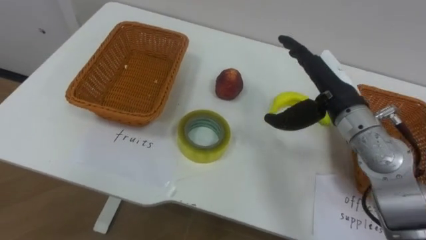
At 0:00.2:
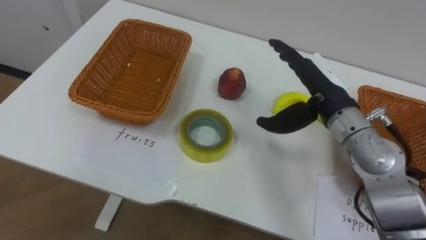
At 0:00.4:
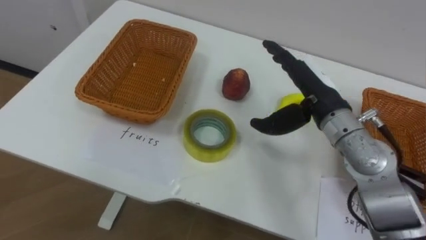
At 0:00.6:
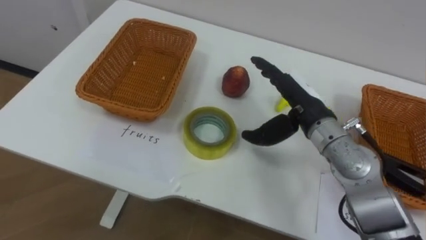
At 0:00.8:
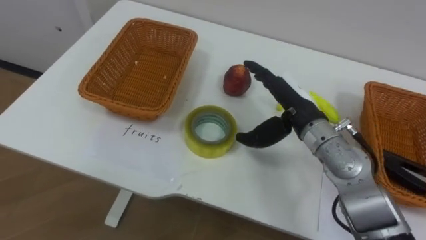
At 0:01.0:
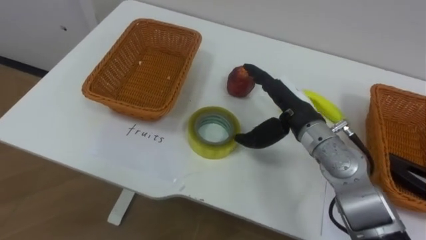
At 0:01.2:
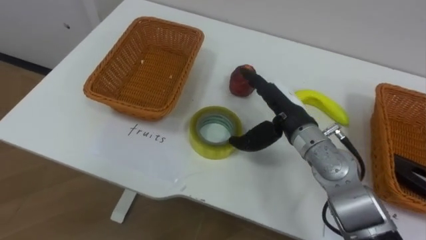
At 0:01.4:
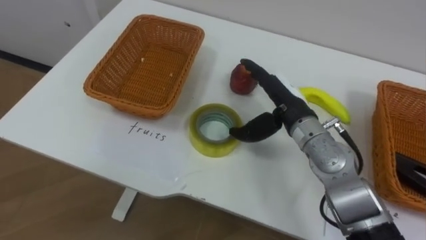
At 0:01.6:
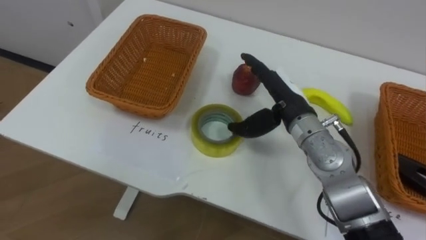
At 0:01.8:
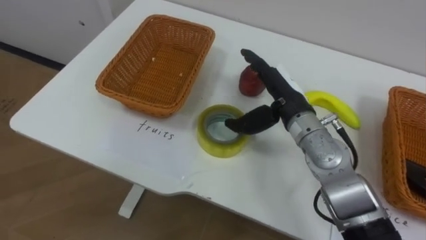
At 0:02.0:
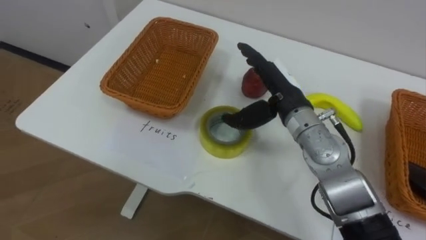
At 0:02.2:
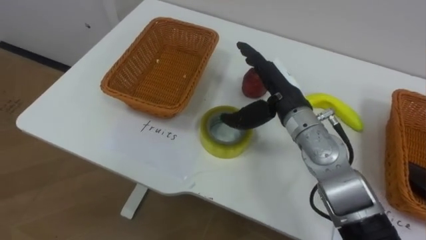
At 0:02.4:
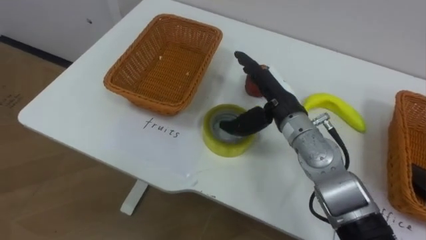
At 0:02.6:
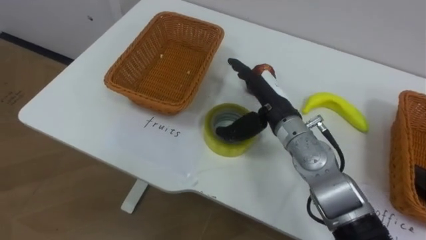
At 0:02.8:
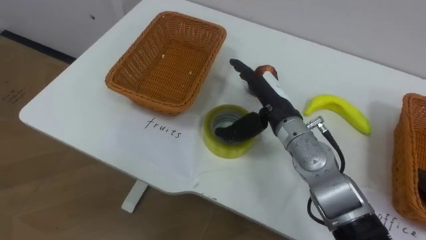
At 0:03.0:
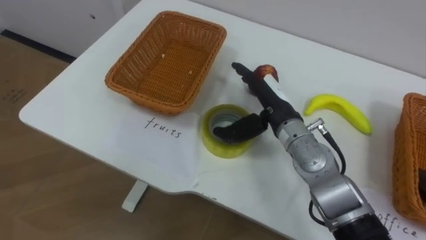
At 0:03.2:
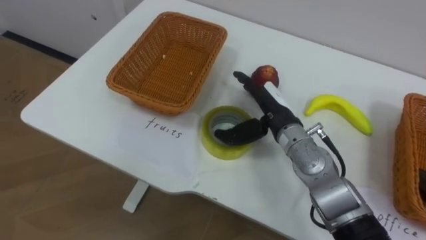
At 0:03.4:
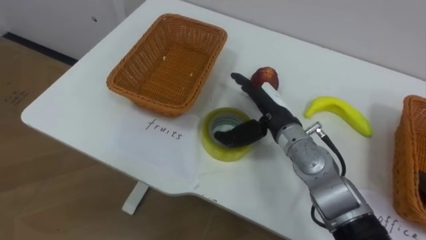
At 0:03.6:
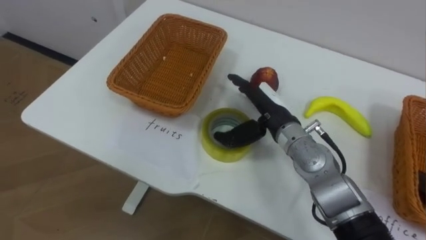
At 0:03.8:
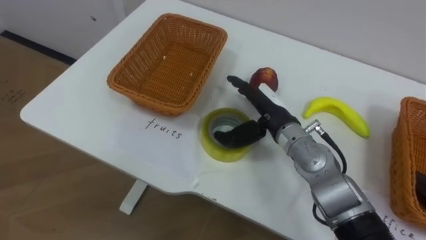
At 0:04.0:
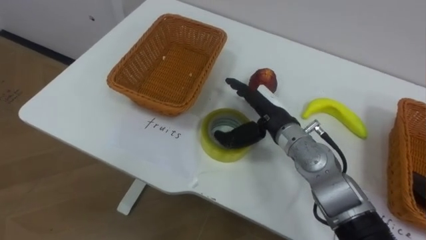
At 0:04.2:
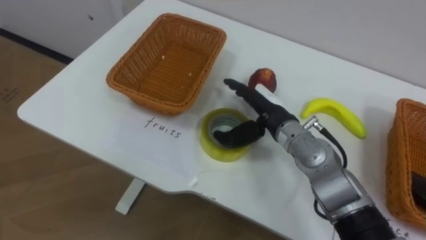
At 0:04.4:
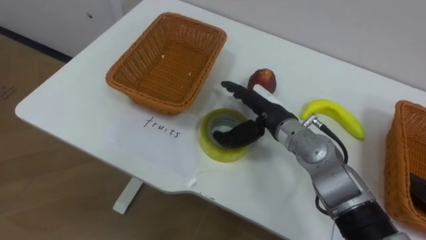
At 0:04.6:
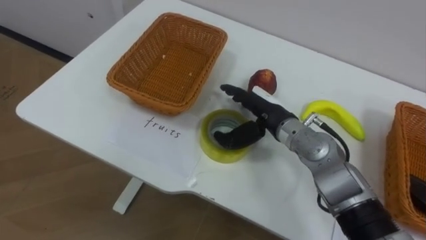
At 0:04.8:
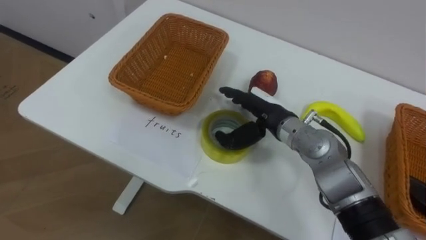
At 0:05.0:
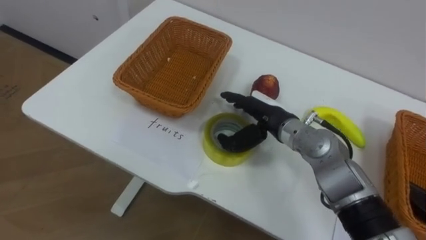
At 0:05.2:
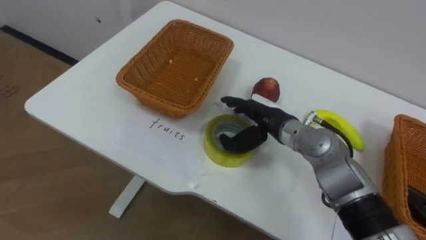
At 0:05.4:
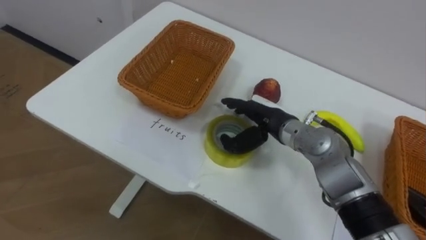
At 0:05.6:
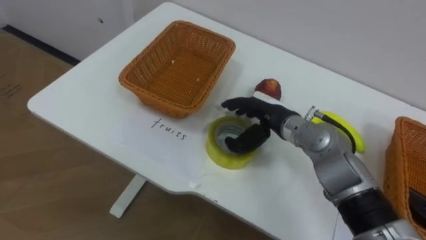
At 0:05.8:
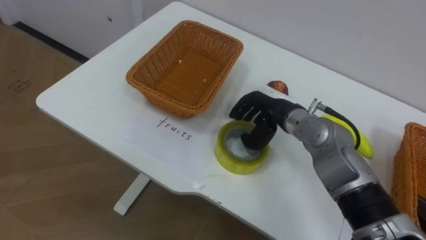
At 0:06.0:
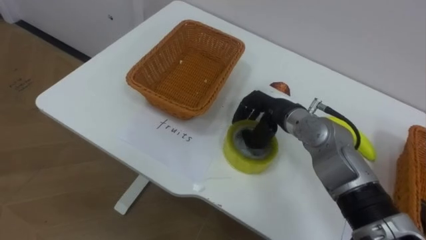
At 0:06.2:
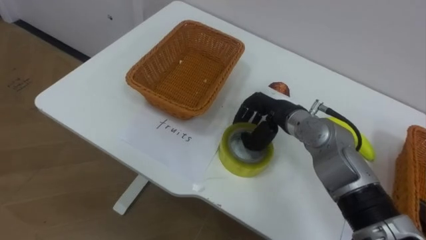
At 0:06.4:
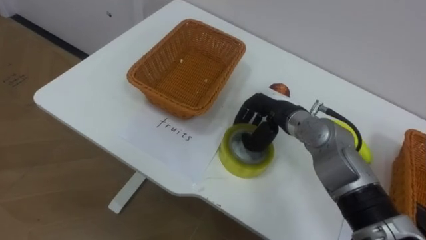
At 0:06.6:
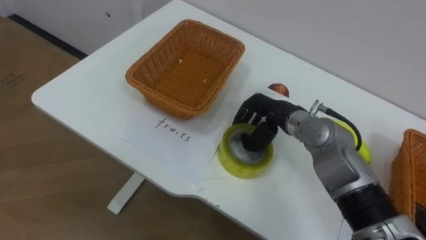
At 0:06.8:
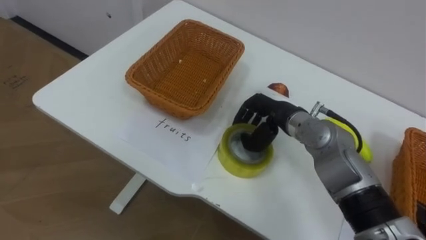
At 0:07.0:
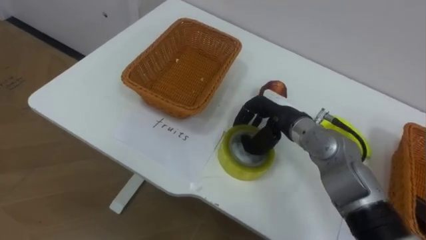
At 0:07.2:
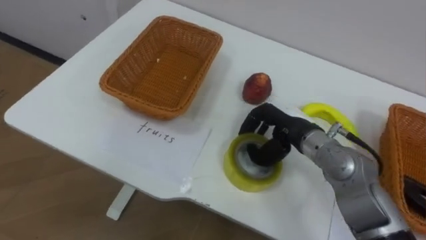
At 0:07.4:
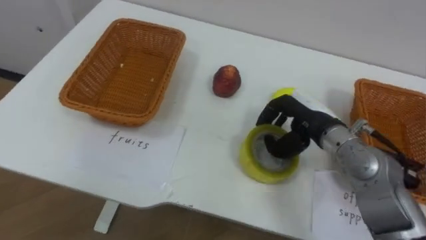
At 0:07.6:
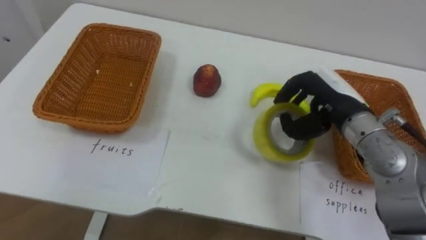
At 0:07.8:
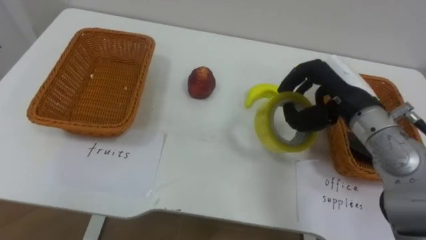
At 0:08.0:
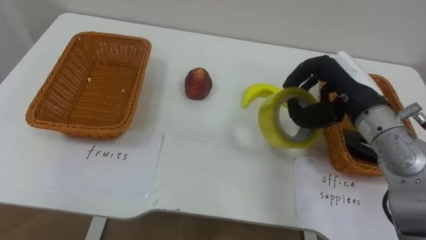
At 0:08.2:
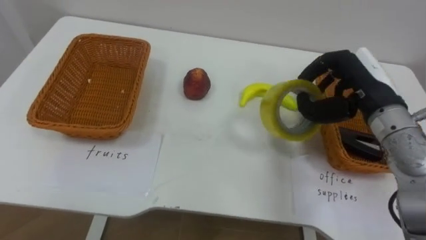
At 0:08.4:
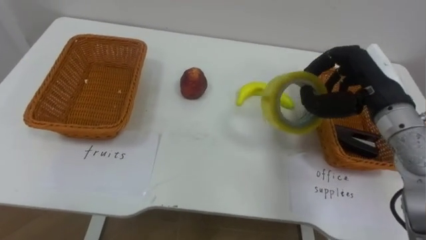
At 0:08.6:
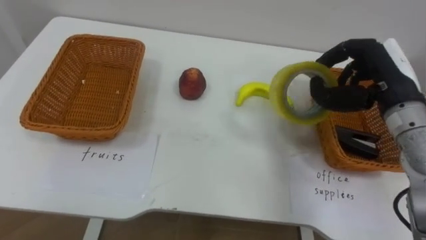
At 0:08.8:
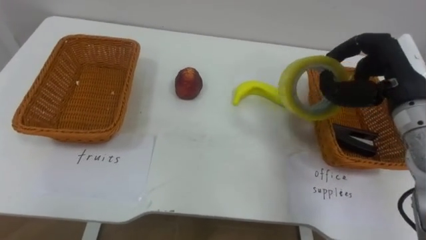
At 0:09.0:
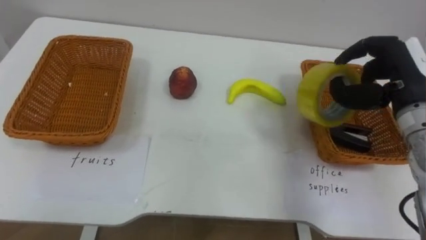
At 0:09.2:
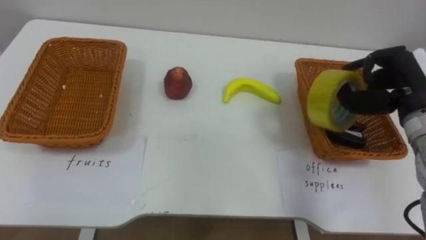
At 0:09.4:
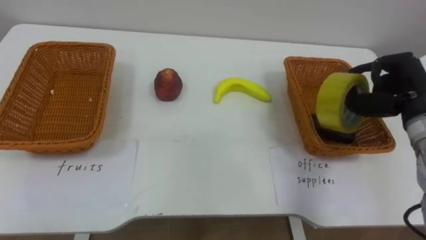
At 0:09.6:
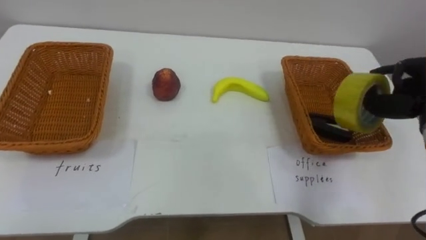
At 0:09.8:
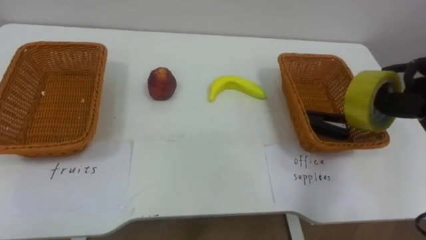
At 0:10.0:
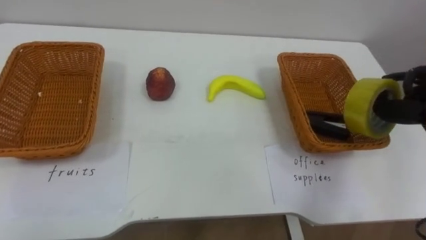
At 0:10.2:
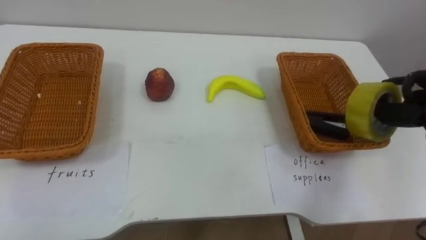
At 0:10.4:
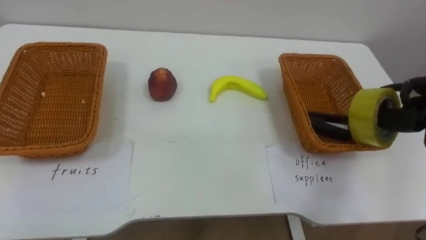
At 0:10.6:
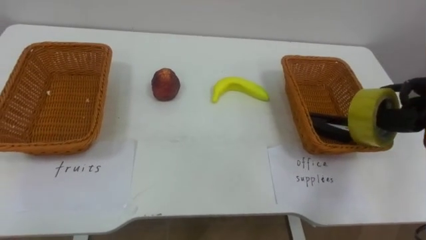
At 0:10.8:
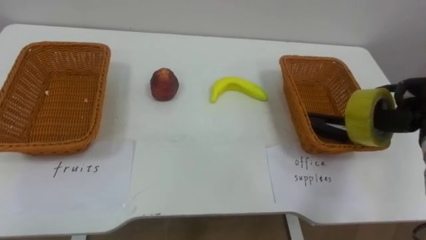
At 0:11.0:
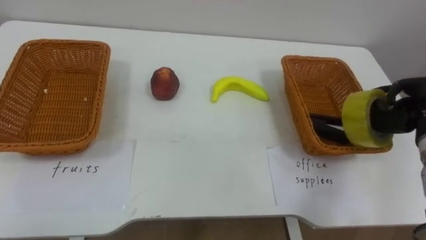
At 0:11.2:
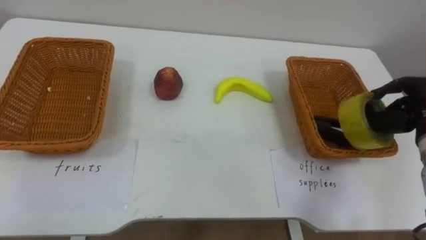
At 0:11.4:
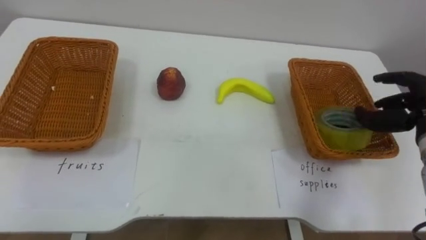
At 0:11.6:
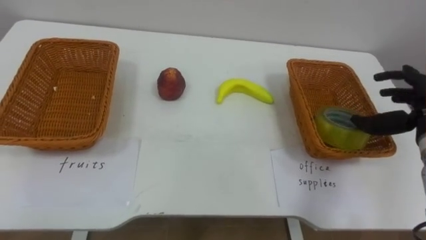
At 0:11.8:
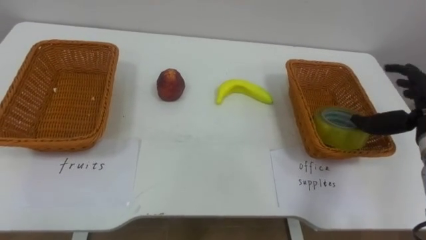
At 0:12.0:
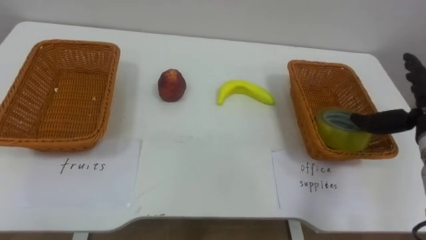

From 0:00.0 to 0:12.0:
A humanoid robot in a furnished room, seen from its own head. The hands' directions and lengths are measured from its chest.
Task of the whole recording: Separate the items on the table and place them into the two baskets.
From 0:00.0 to 0:01.6: The right hand heads to the left, covering approximately 5 cm.
From 0:04.4 to 0:06.0: The right hand closes its fingers.
From 0:06.0 to 0:07.6: The right hand is displaced to the right and upward by some 10 cm.
From 0:07.6 to 0:09.0: The right hand shifts some 10 cm to the right.

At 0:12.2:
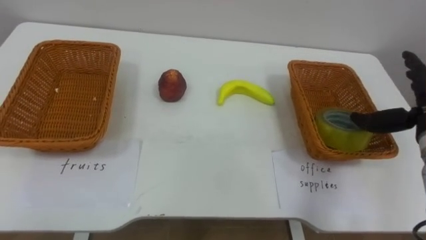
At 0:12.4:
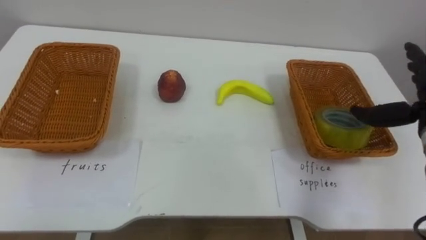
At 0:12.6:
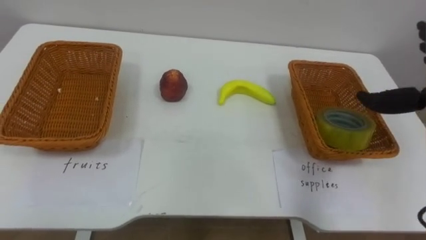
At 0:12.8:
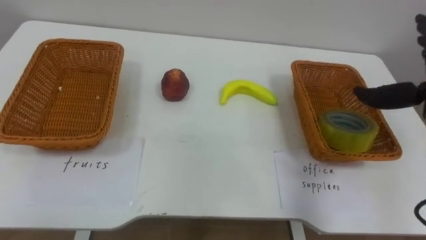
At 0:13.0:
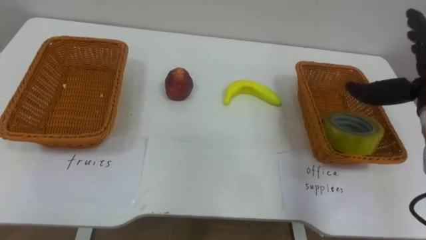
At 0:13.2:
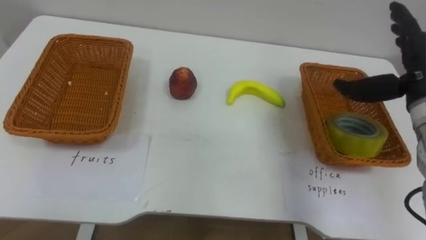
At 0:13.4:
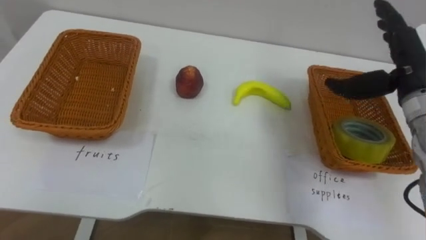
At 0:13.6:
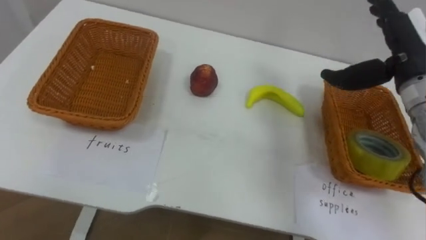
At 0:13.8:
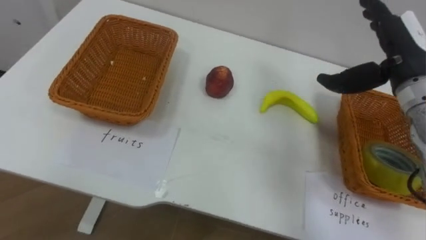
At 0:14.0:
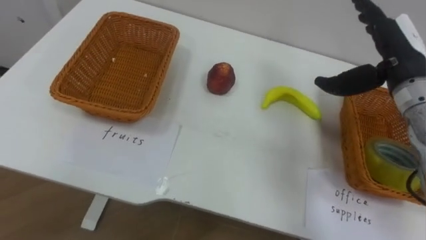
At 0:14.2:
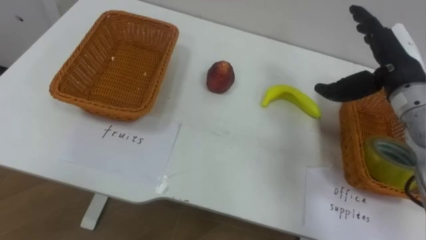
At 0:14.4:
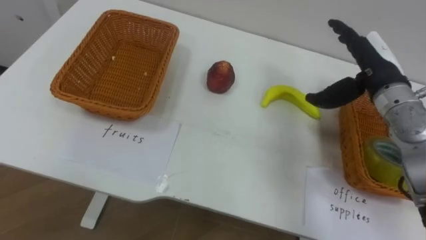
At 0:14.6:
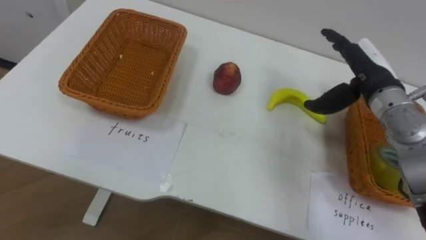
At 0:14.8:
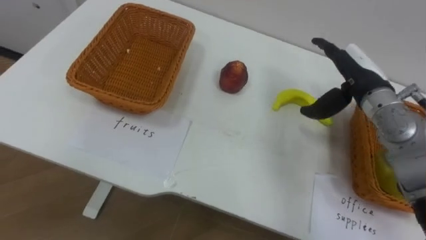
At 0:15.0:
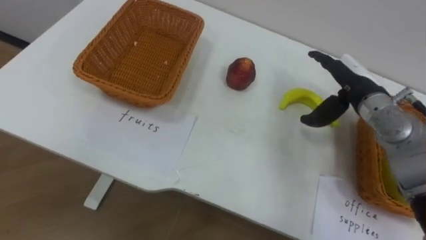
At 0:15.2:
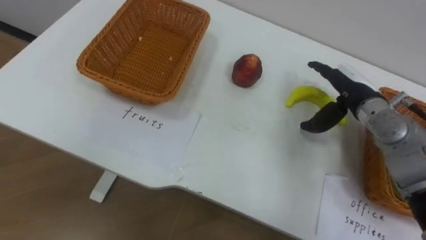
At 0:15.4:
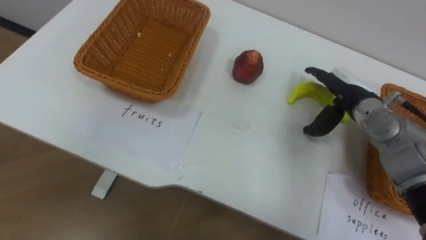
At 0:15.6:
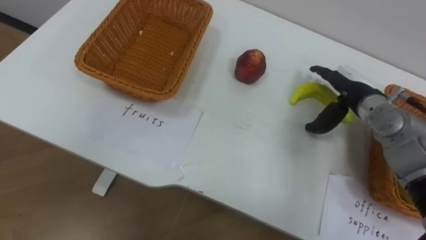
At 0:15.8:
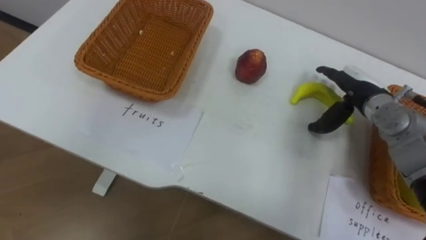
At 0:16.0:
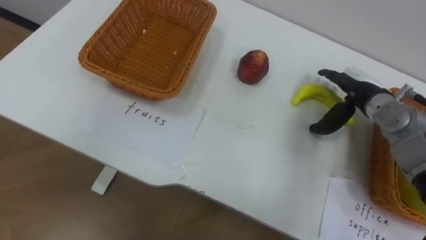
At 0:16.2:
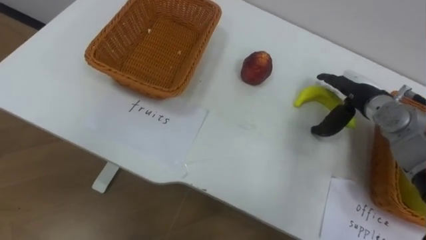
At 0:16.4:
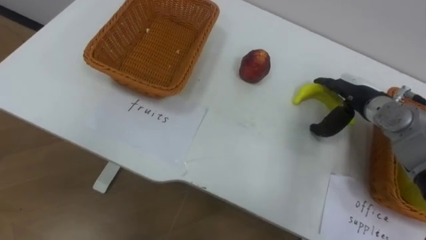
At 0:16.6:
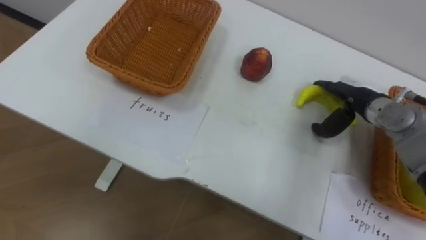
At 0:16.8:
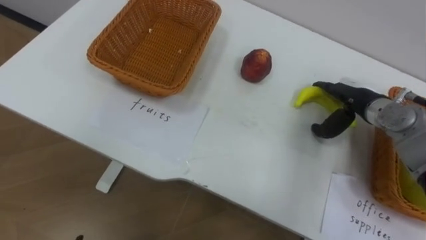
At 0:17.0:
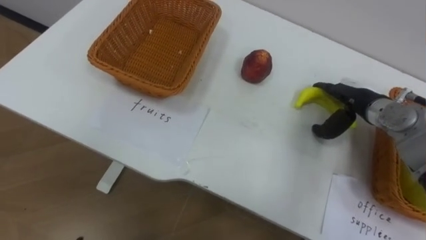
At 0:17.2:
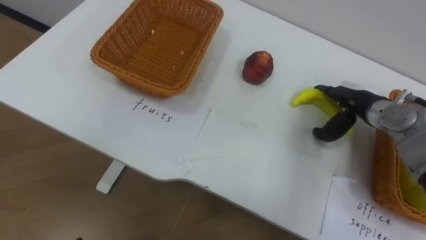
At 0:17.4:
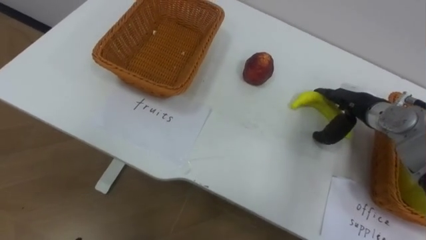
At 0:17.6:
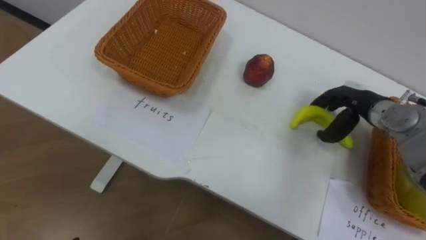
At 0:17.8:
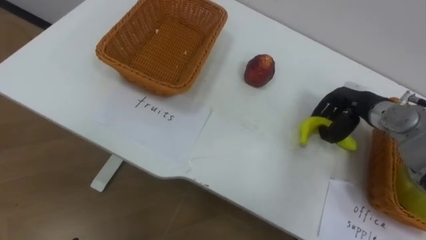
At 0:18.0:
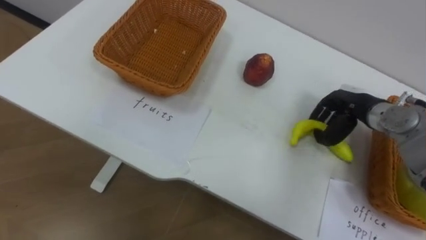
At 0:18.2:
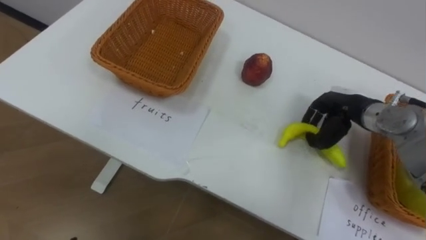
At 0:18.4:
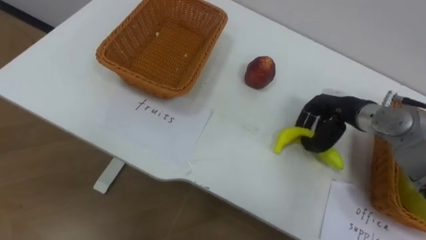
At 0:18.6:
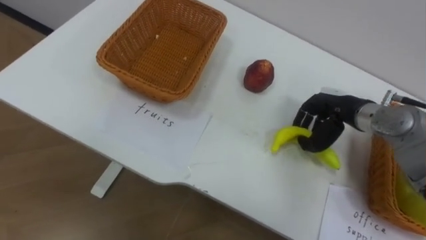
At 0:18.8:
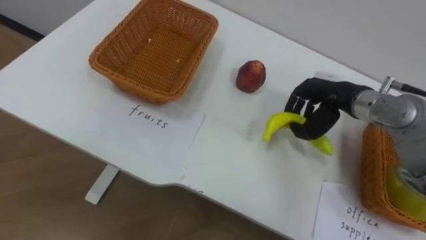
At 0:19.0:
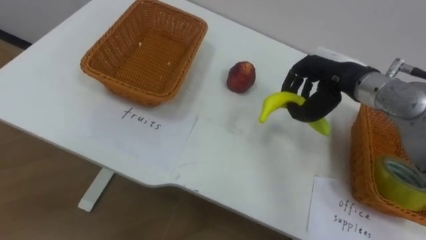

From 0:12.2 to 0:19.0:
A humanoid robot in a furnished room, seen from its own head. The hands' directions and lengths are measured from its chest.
Task of the whole recording: Separate the items on the table and place them into the two baskets.
From 0:13.6 to 0:15.0: The right hand moves downward, about 10 cm.
From 0:17.6 to 0:19.0: The right hand moves upward and to the left, roughly 10 cm, and closes.
